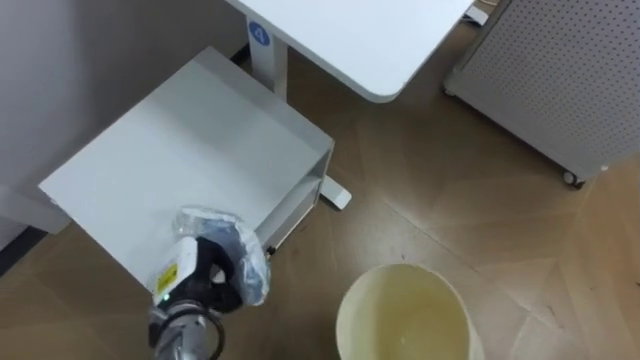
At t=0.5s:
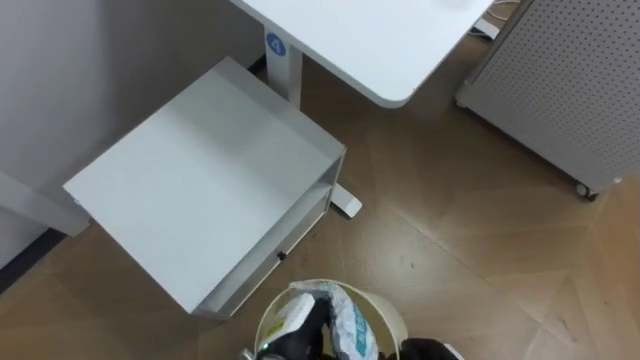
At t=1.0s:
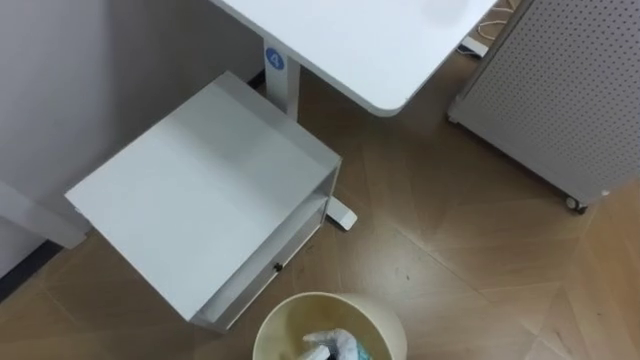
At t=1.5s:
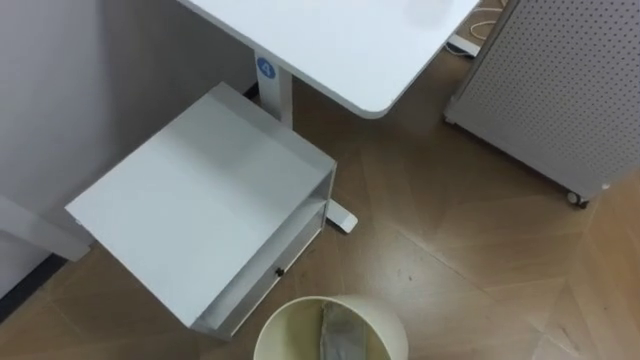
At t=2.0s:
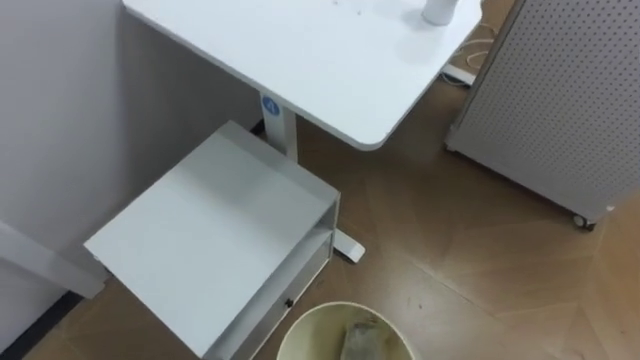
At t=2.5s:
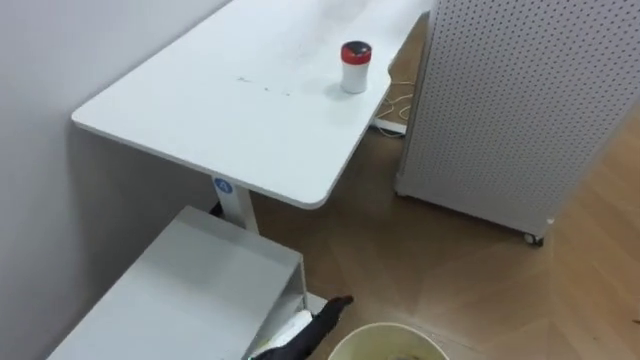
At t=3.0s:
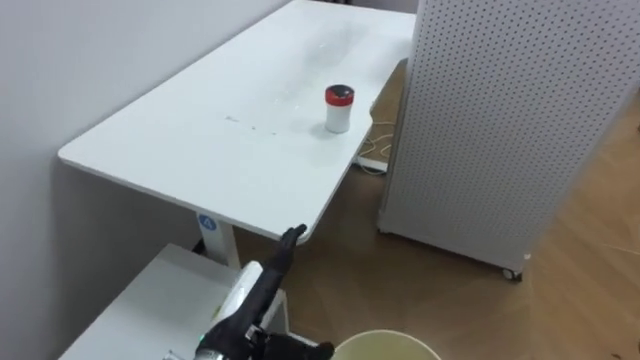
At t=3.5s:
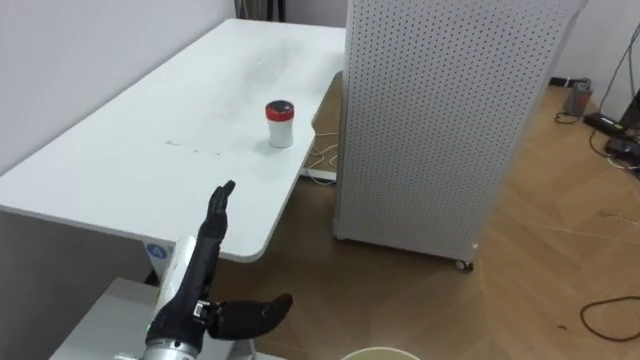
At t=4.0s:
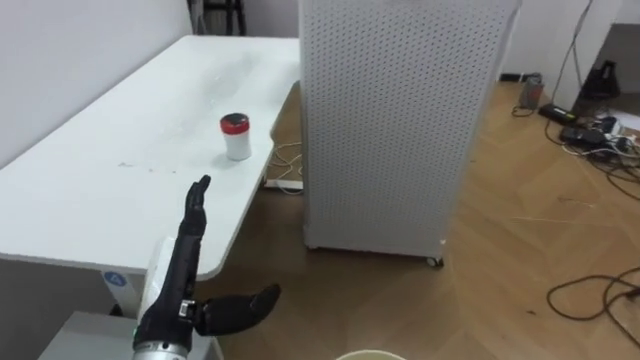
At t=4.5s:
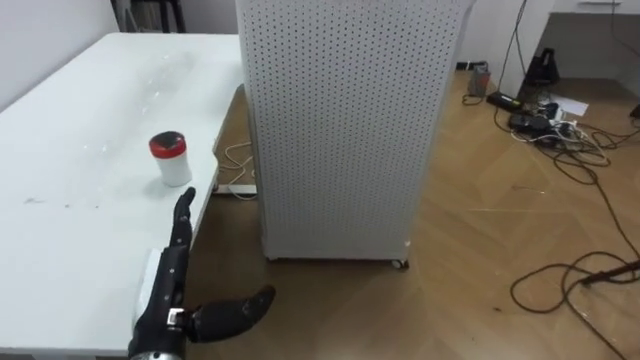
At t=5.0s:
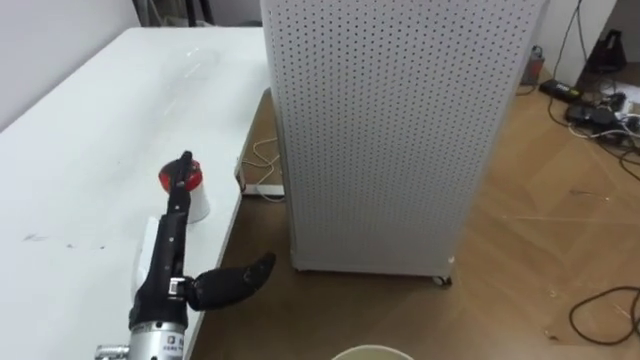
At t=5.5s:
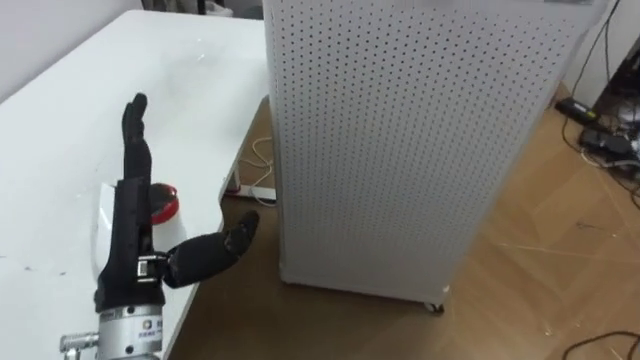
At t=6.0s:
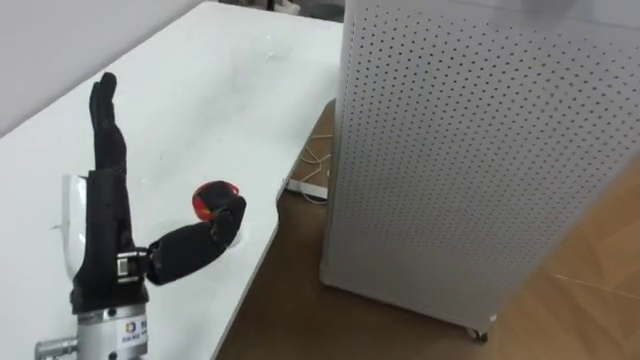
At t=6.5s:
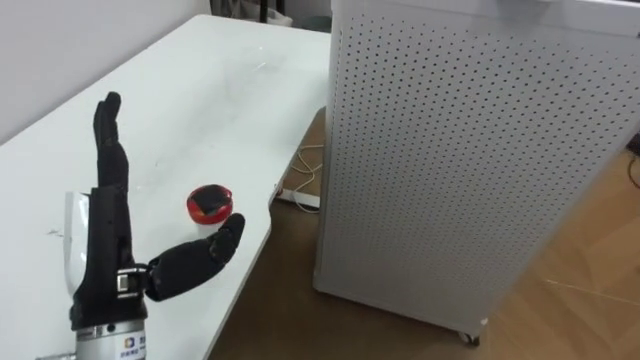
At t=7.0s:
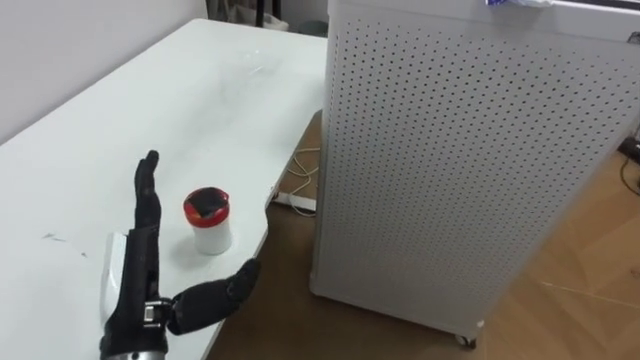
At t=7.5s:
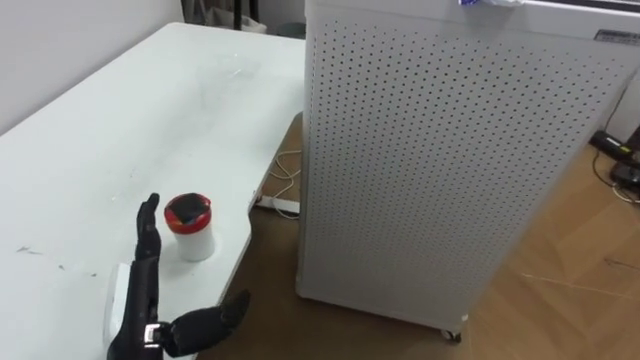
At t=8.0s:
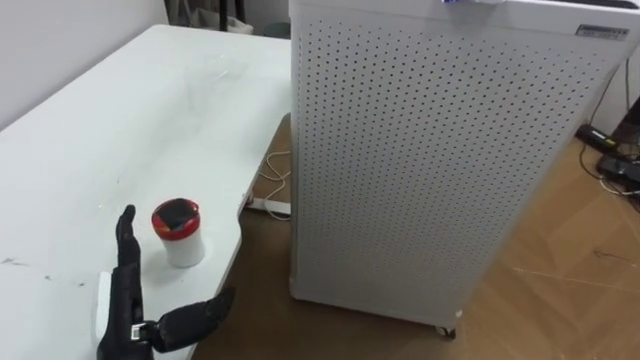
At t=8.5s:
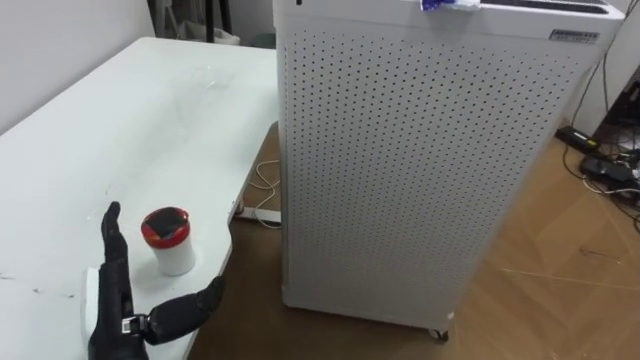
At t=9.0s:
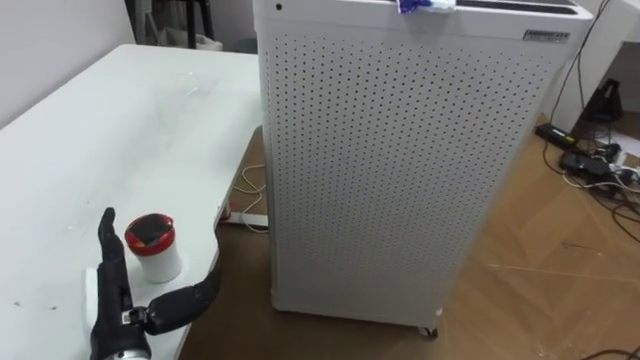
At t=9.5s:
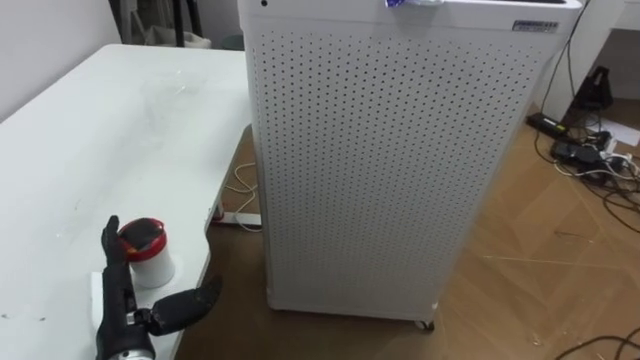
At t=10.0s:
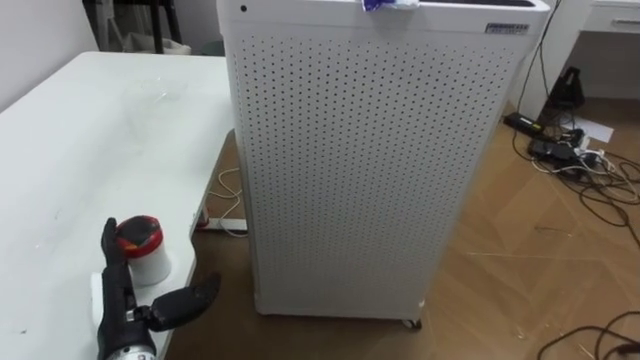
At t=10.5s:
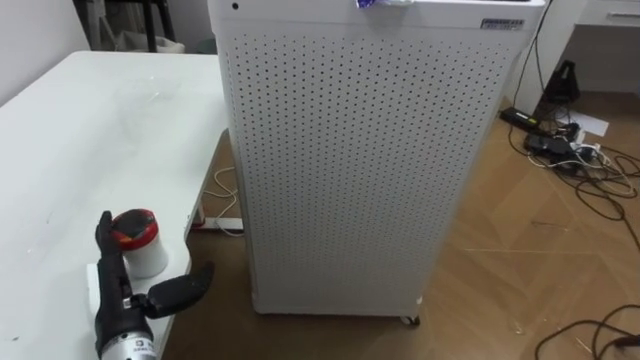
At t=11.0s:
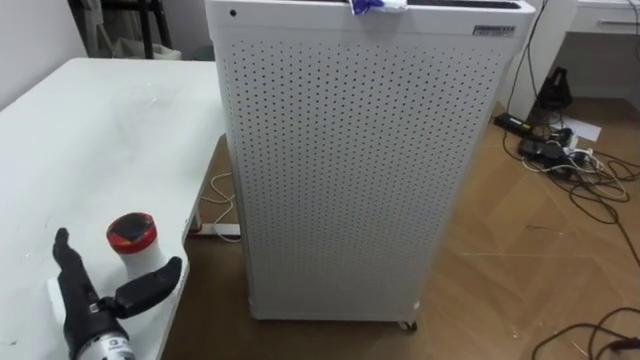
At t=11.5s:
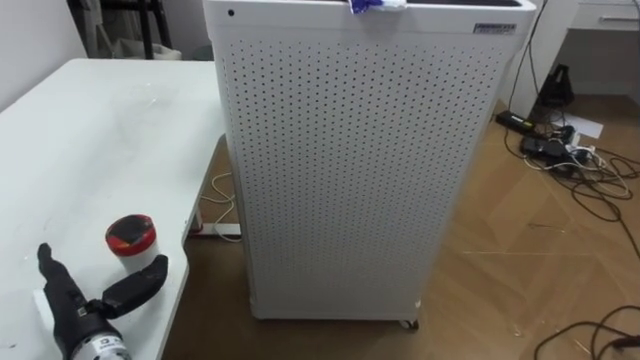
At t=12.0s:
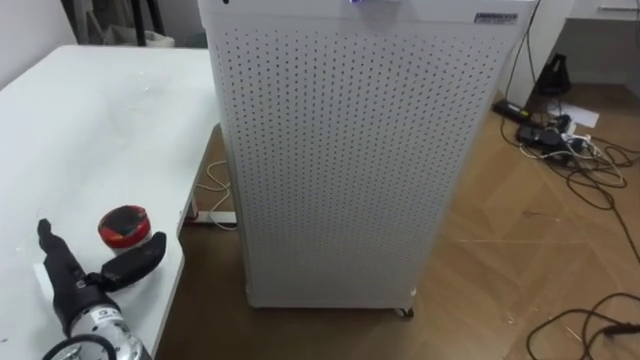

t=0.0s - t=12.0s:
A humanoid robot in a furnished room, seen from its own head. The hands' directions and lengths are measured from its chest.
Task of the whole recording: Pick up the light blue package, the candy box, and the dark blue package separately, and put them into the trash can held in your right hand.
t=2.0s - t=4.0s: The robot turns to its right by roughly 40 degrees.
t=4.0s - t=6.0s: The left hand is displaced upward by some 10 cm.
t=6.0s - t=8.0s: The left hand is displaced downward by approximately 15 cm.
t=10.0s - t=12.0s: The left hand moves to the left, roughly 5 cm.

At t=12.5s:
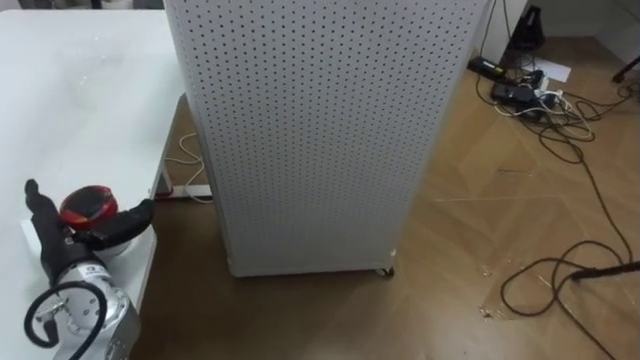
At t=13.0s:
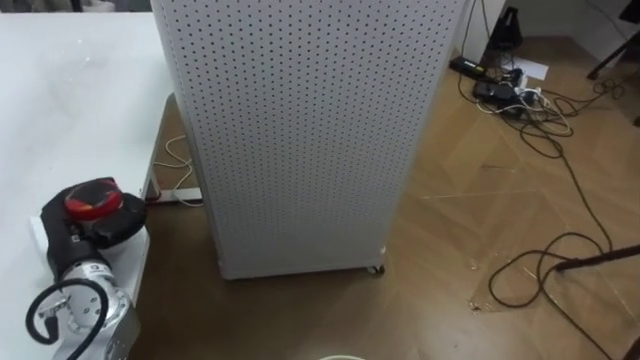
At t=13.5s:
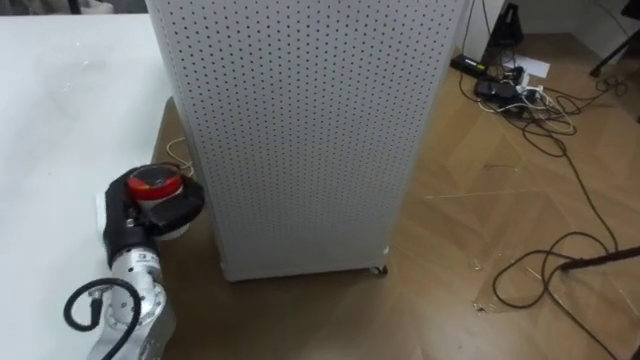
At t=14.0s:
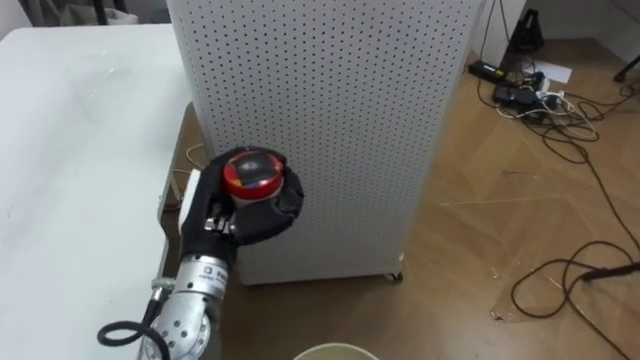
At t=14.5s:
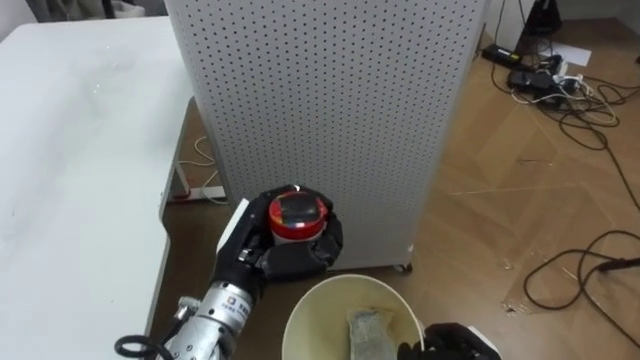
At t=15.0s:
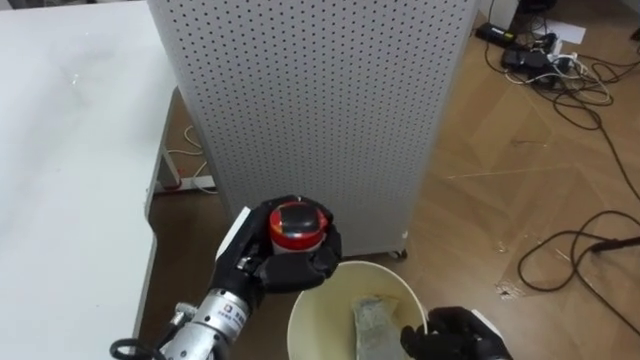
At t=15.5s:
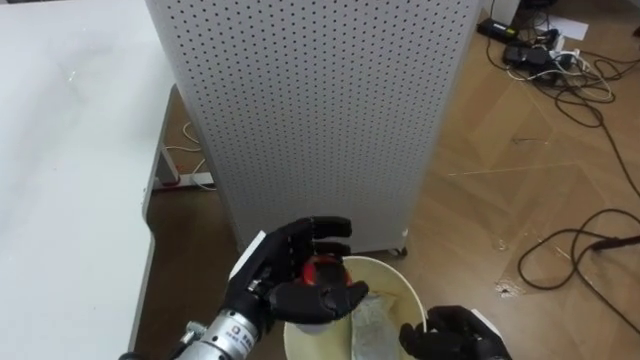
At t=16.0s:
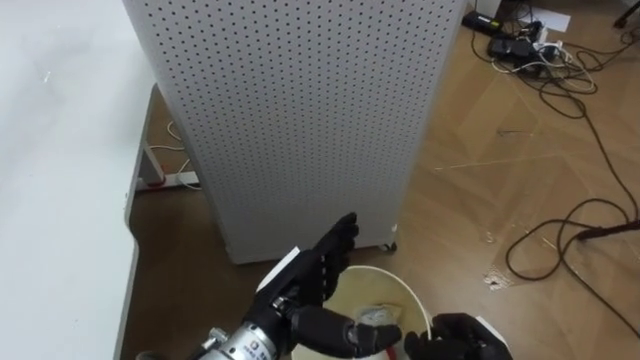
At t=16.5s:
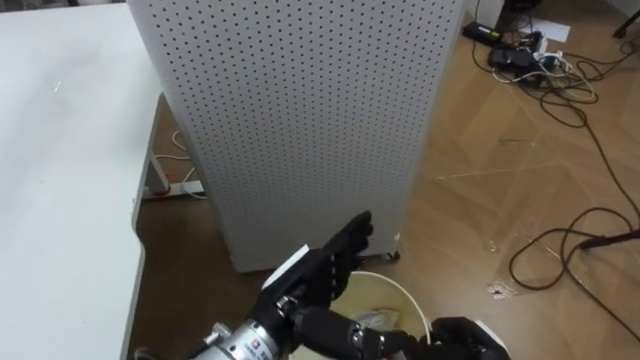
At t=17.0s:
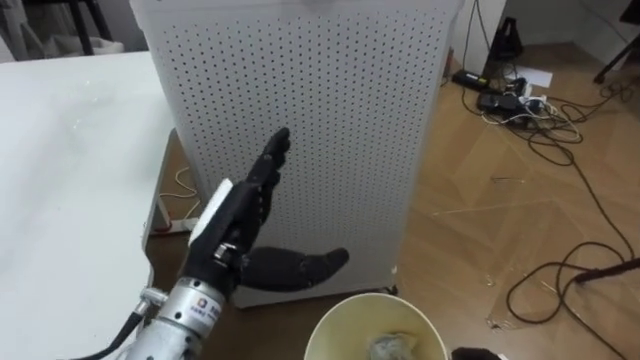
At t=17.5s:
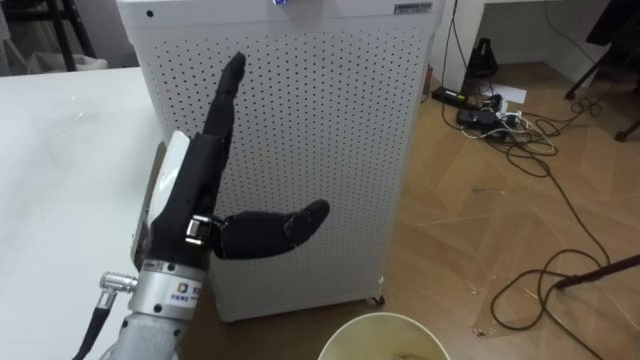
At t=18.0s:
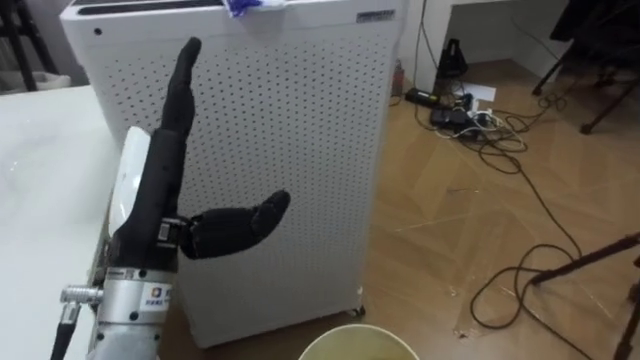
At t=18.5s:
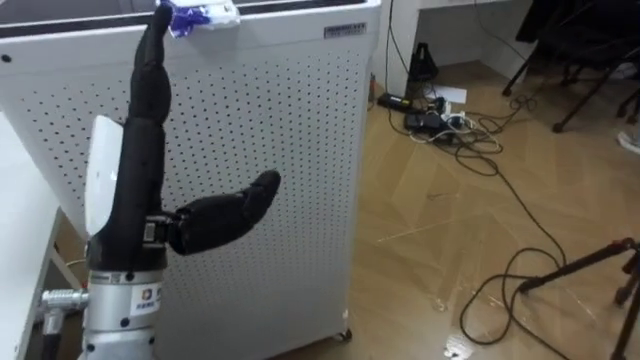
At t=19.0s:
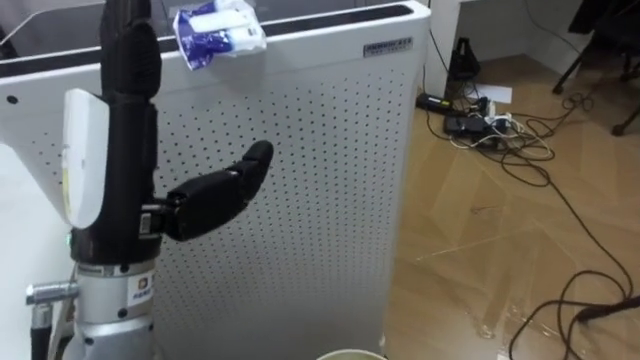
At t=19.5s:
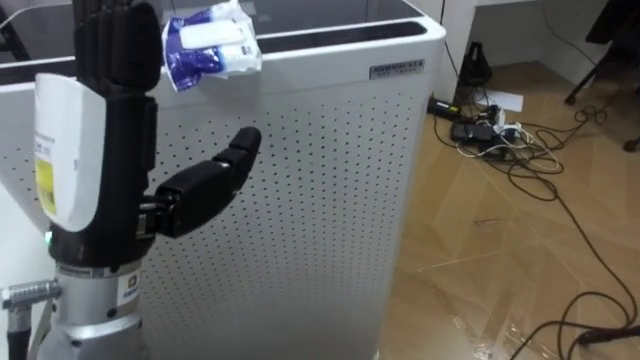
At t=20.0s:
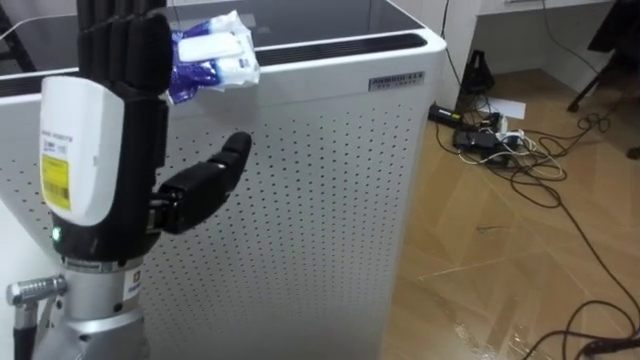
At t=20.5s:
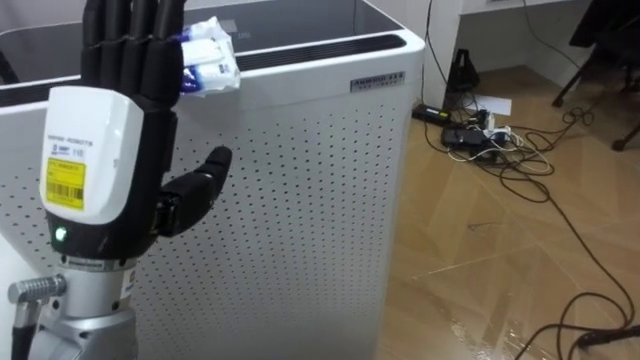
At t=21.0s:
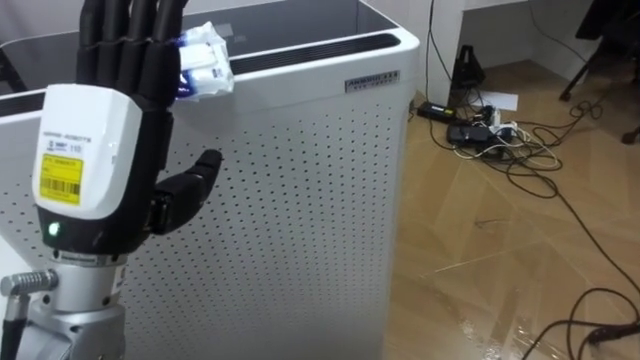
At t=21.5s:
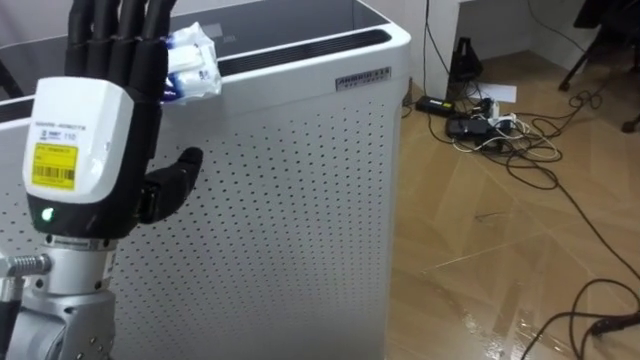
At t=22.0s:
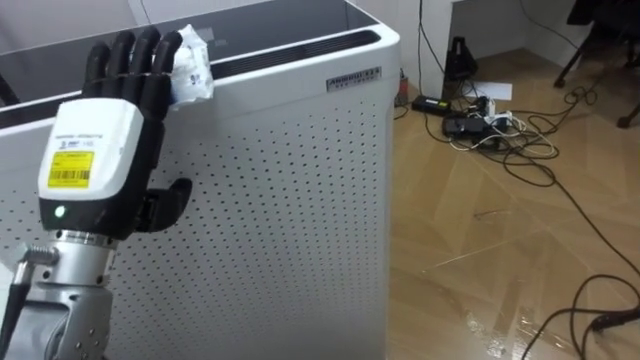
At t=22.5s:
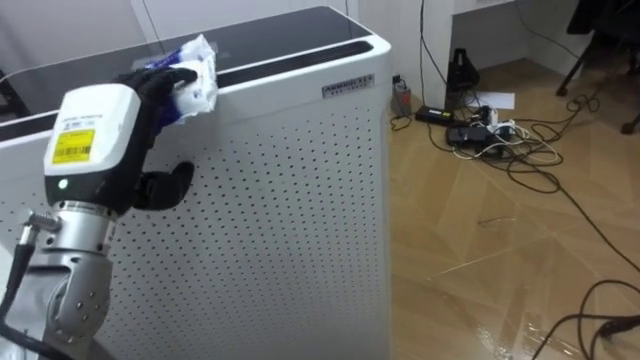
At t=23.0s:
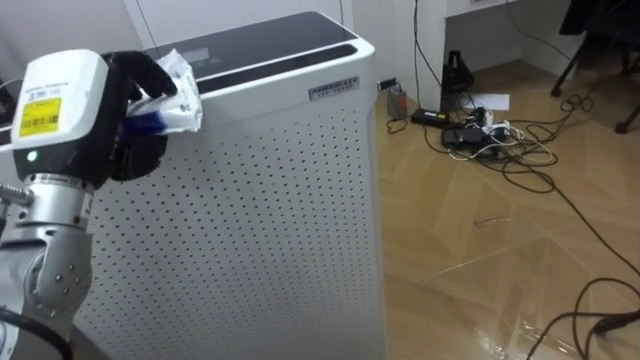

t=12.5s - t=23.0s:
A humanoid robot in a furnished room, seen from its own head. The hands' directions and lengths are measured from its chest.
Task of the whole recording: Pick up the light blue package, the candy box, and the dark blue package separately, and put them into the trash can held in your right hand.
t=12.5s - t=14.5s: The left hand moves to the right, approximately 20 cm, and closes.
t=14.5s - t=16.5s: The left hand goes approximately 5 cm to the right, and opens its fingers.
t=16.5s - t=19.0s: The left hand moves upward and to the left, some 25 cm.
t=21.0s - t=23.0s: The left hand moves forward and to the left, some 10 cm, and closes.
